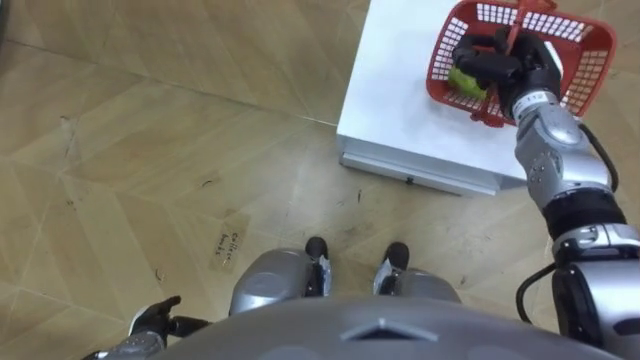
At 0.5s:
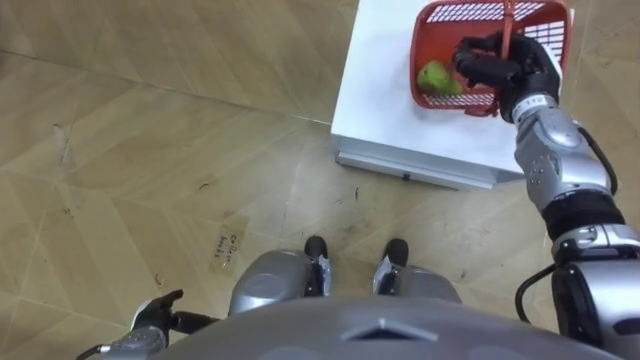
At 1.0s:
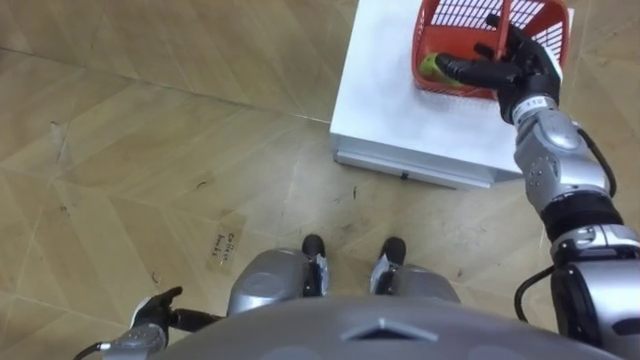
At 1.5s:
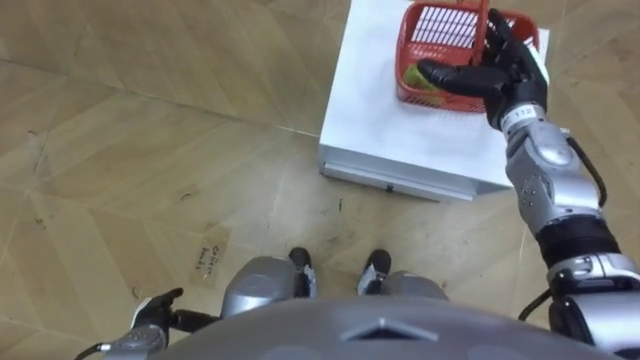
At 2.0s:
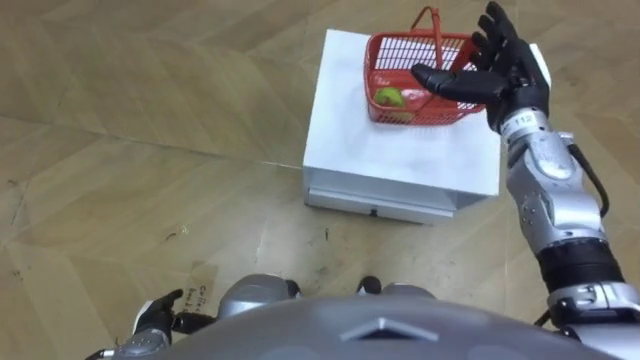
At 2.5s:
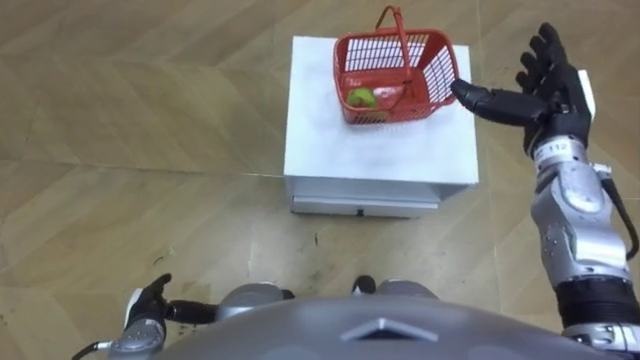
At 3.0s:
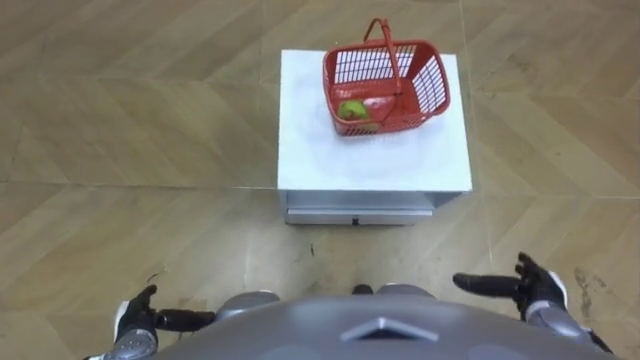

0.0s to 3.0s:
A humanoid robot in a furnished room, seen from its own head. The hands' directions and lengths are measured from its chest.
Task of the whole recording: Pick up the fruit basket from the floor and place it on the cabinet.
0.0s to 1.5s: The right hand opens up.
1.5s to 3.0s: The right hand is displaced backward and downward by about 30 cm.

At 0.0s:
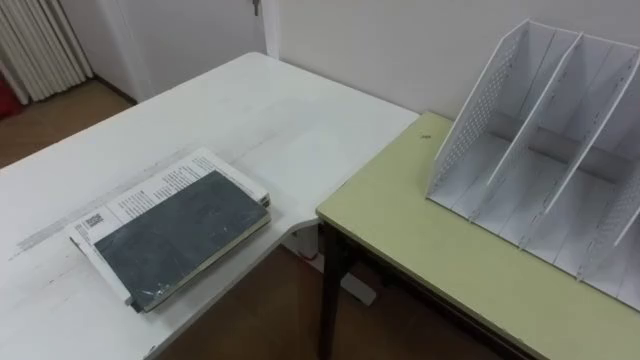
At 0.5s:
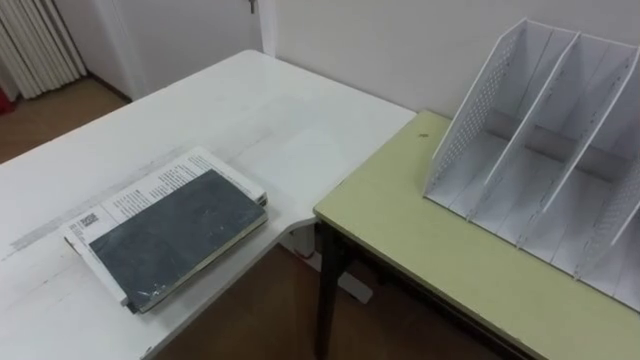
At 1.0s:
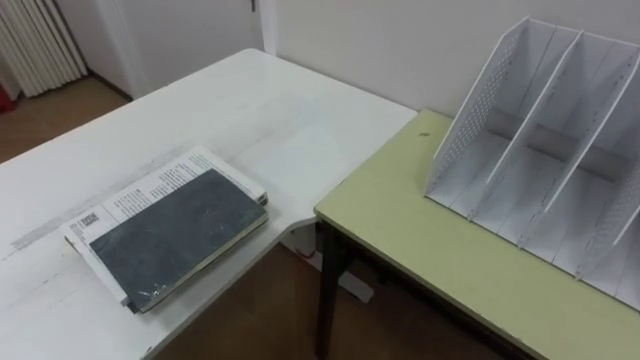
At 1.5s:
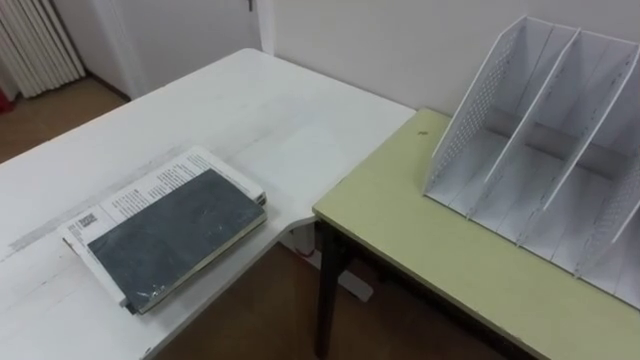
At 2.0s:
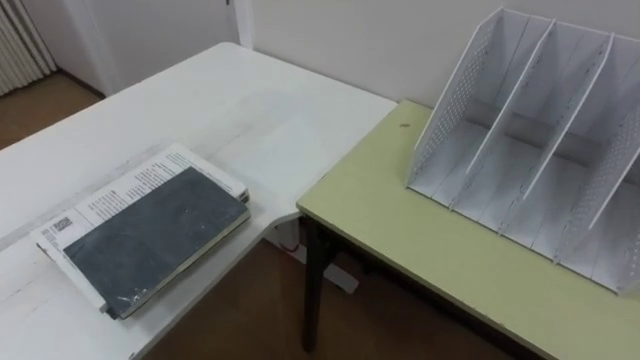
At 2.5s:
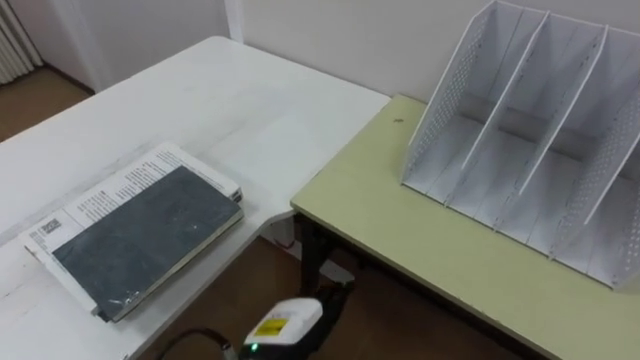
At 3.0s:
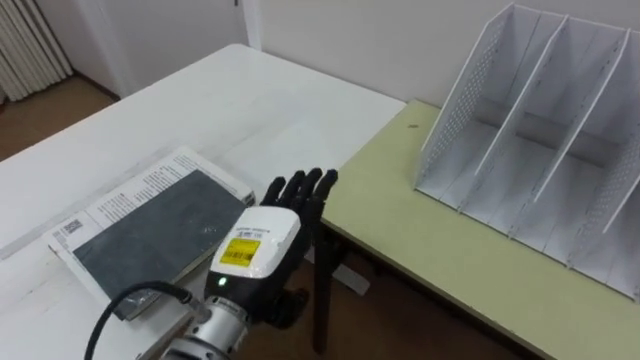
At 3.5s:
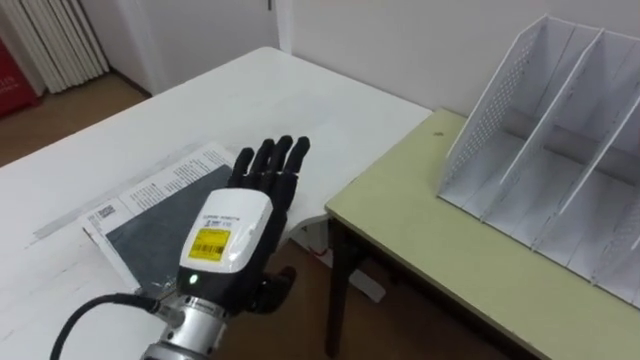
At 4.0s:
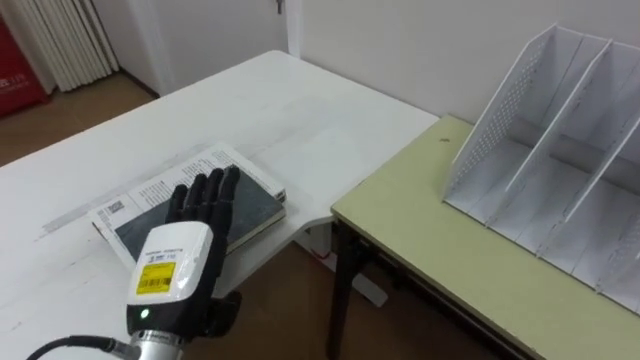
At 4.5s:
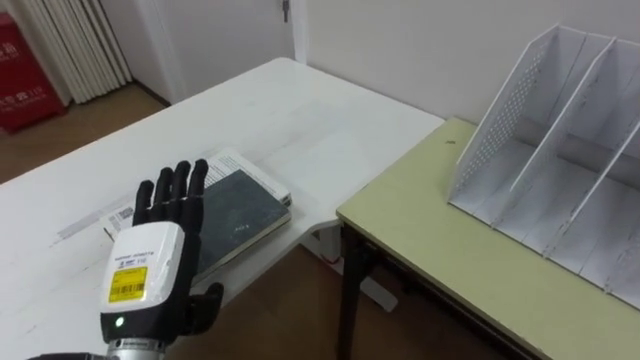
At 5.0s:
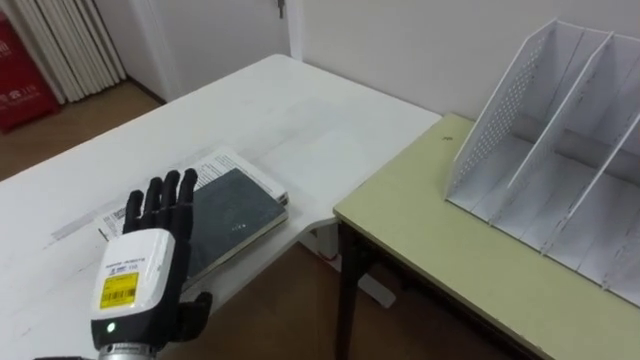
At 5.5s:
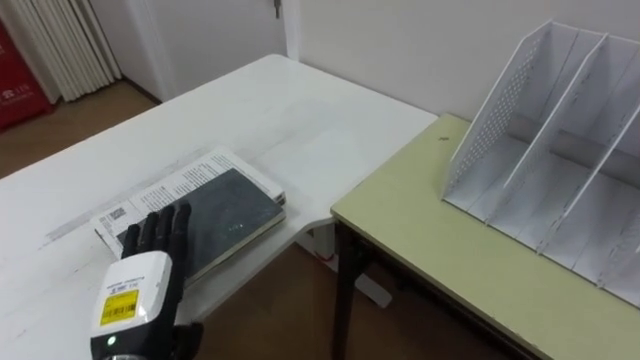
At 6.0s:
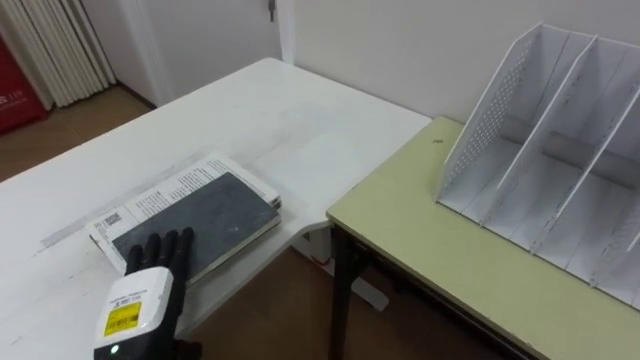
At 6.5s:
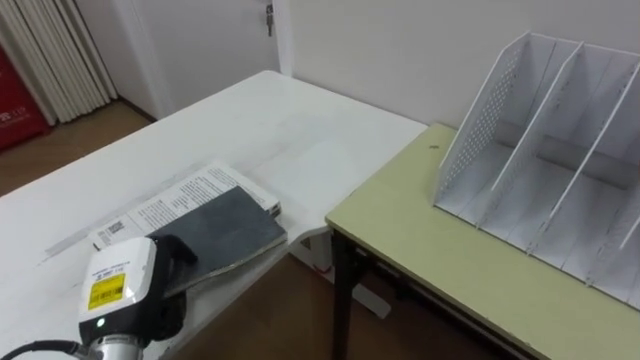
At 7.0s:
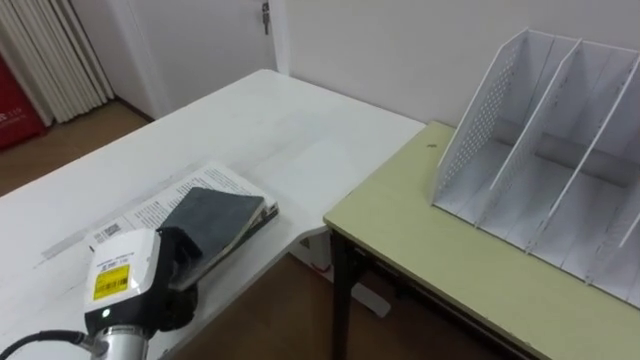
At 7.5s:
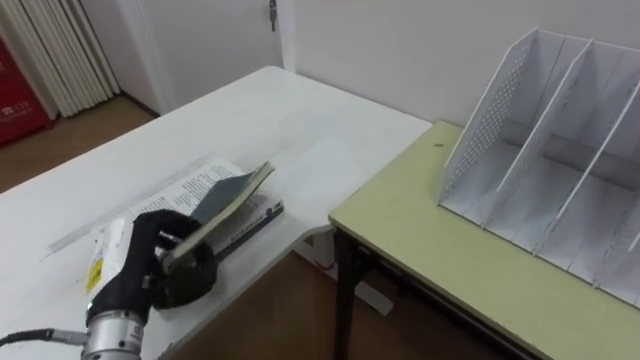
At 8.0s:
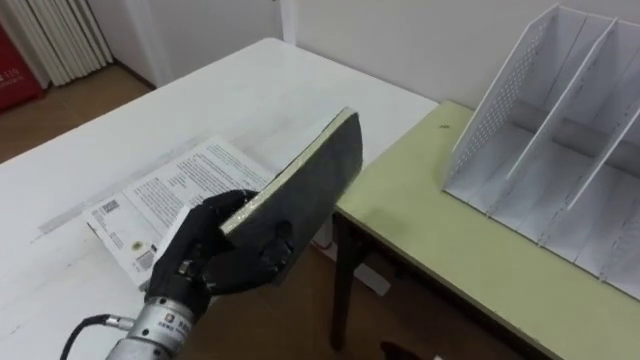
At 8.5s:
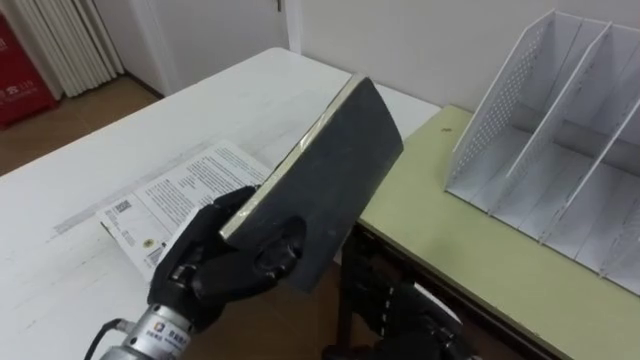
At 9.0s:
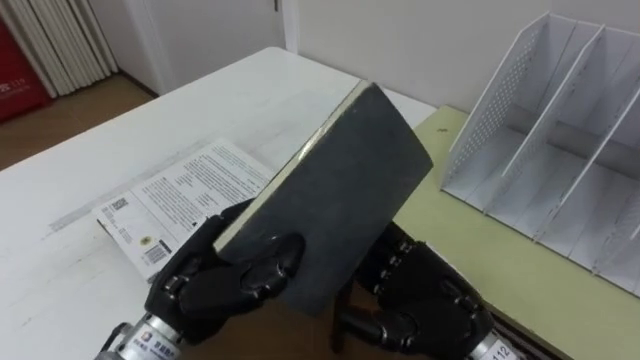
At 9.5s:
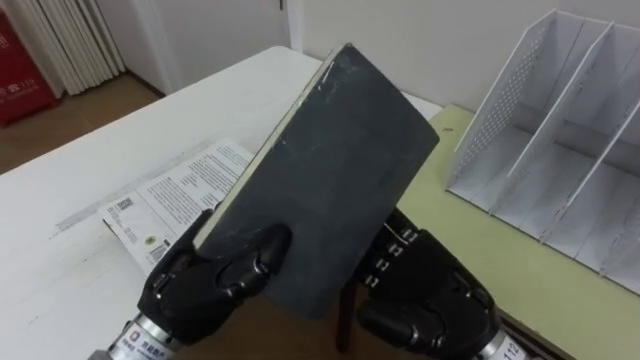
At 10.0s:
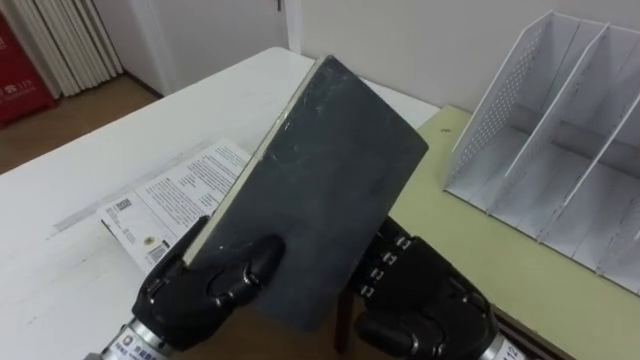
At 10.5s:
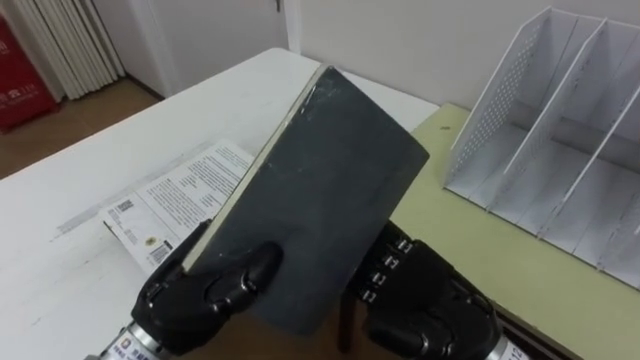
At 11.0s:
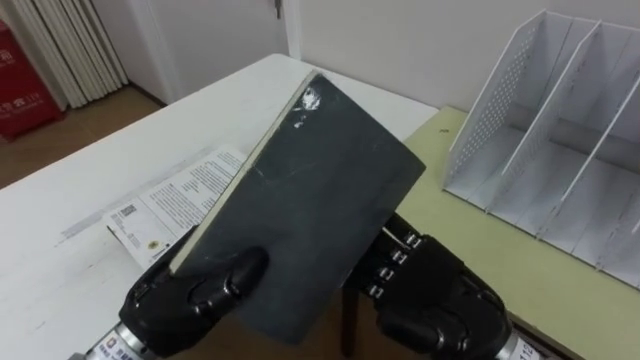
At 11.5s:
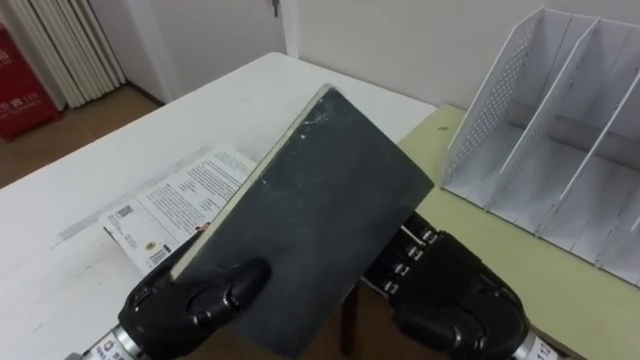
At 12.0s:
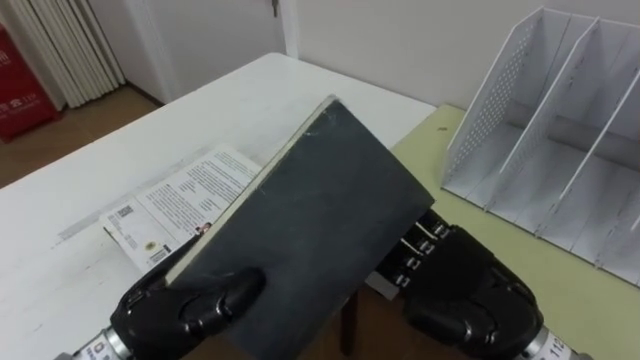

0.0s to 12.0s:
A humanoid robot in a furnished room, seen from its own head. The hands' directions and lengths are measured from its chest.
Task of the whole recording: Put the books on the table onto the bookshelf.
4.0s to 6.0s: The left hand shifts about 10 cm downward and to the left.
6.0s to 8.0s: The left hand is displaced upward and to the right by roughly 10 cm, and closes up.
10.0s to 12.0s: The hands stay close to where they were, moving slightly.

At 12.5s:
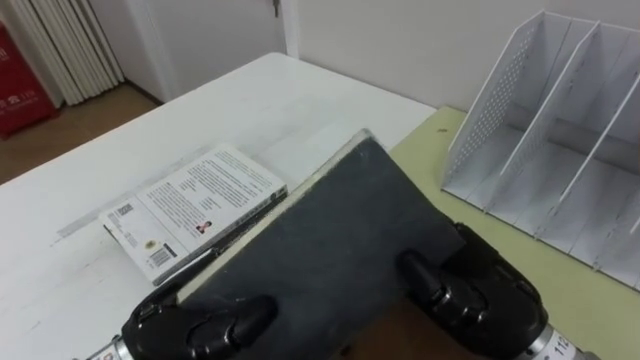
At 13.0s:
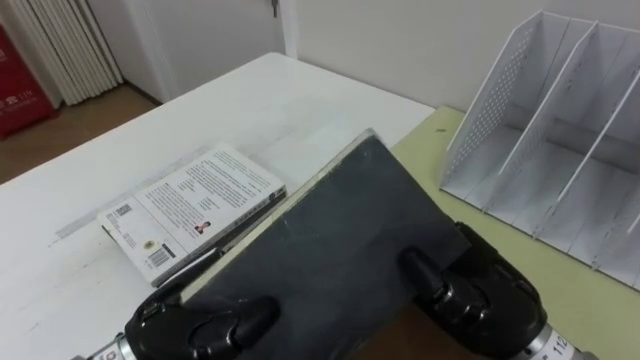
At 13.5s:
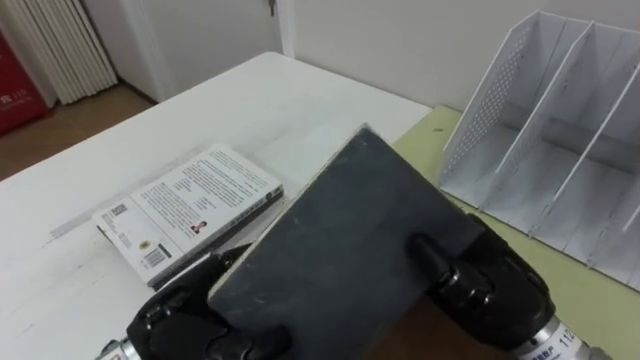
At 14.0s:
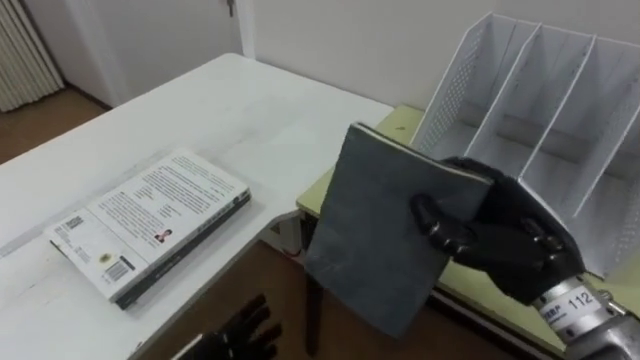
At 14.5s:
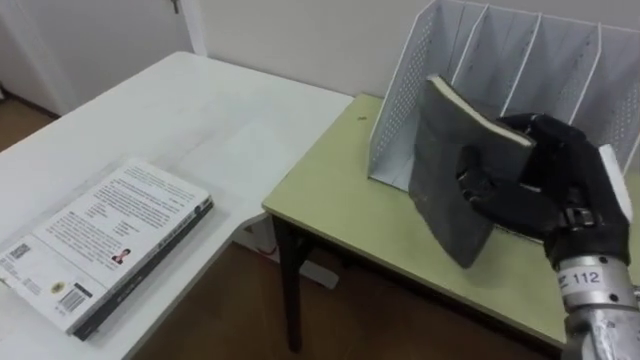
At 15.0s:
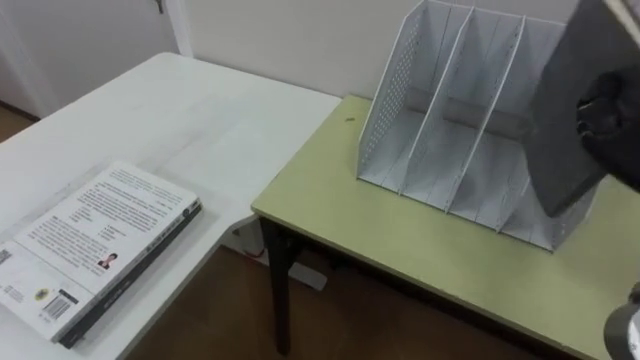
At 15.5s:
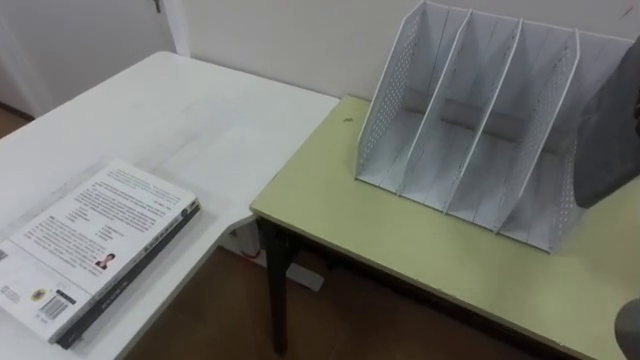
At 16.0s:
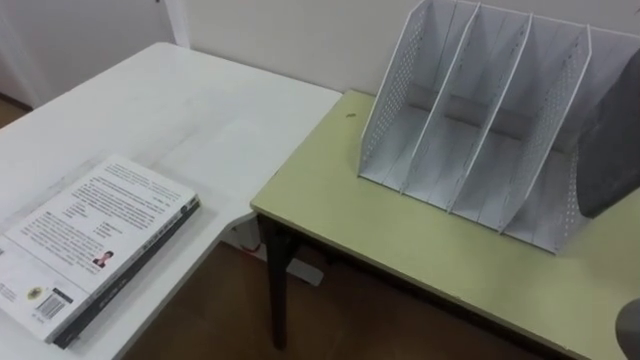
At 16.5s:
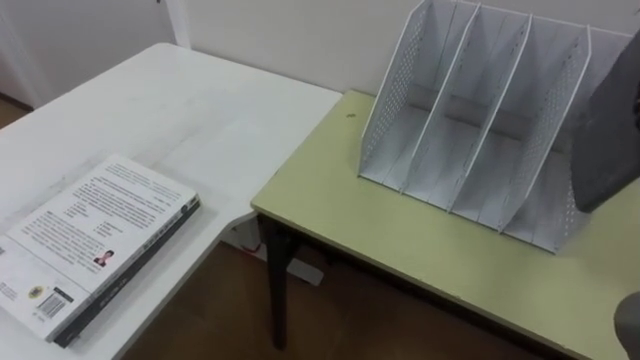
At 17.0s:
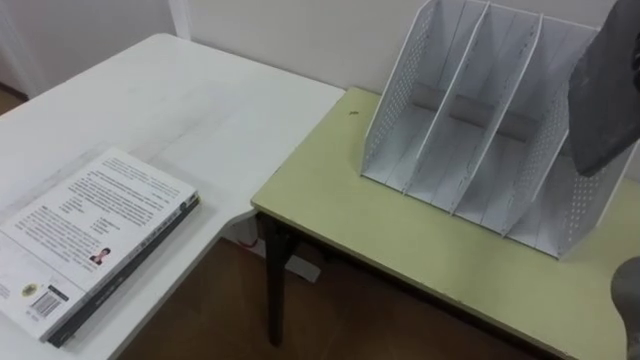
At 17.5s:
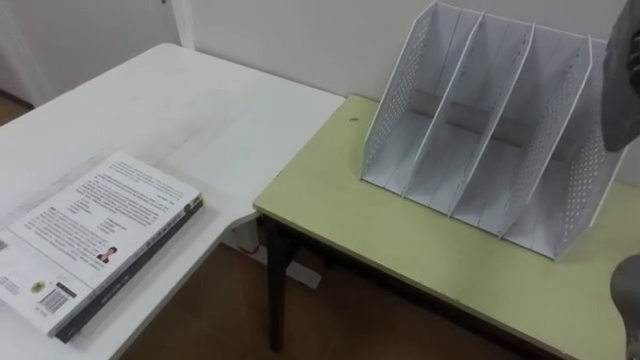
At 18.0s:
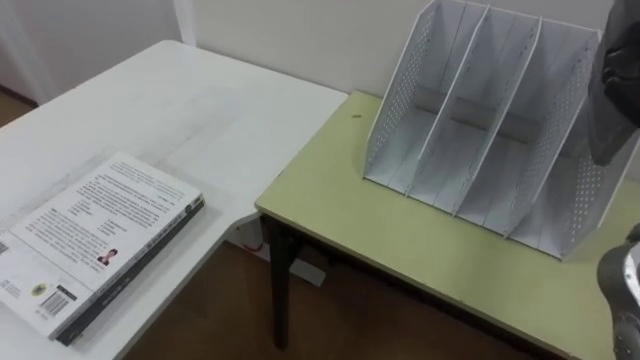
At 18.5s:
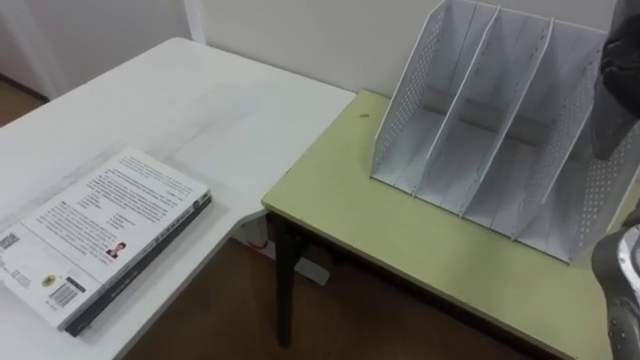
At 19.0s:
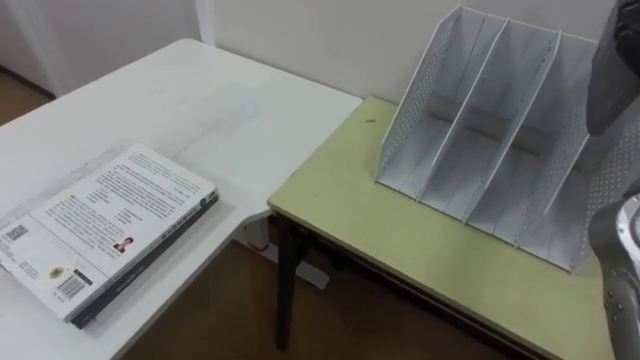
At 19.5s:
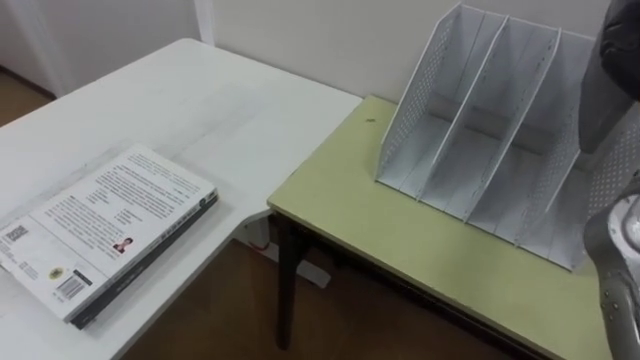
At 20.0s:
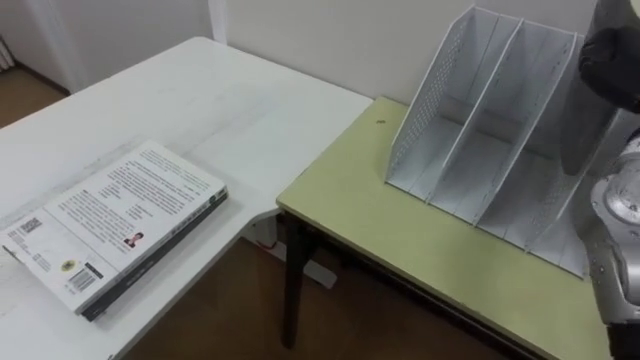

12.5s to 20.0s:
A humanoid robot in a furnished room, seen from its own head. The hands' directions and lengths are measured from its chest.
Task of the whole recording: Put the books on the table onto the bookshelf.
12.5s to 14.5s: The right hand travels to the right and forward by roughly 10 cm.
